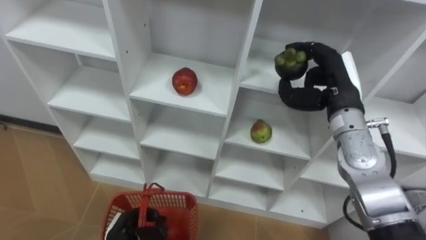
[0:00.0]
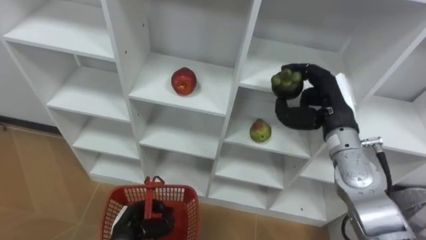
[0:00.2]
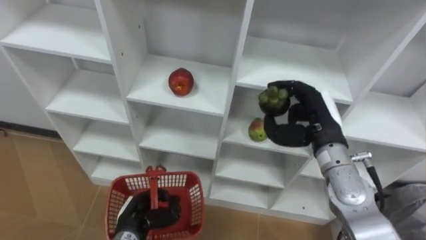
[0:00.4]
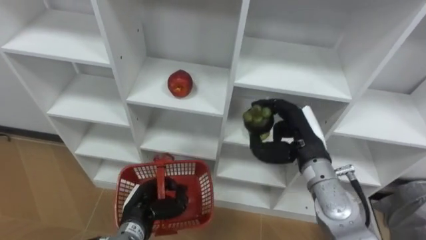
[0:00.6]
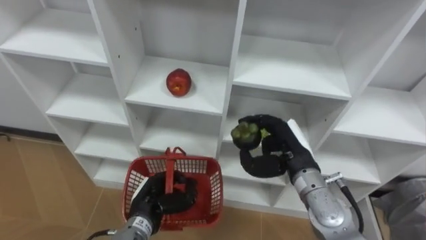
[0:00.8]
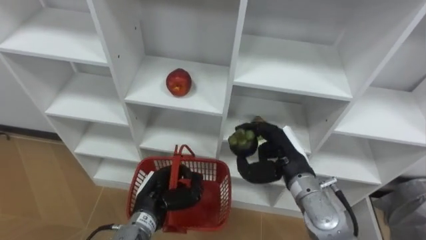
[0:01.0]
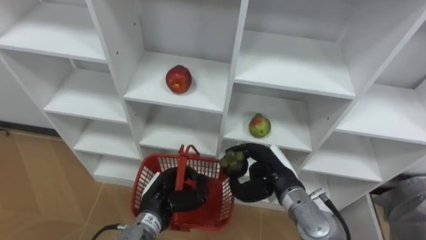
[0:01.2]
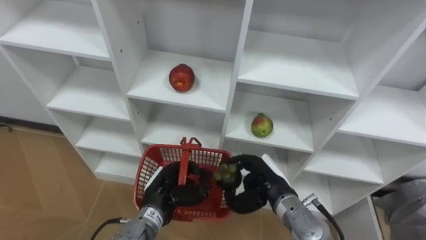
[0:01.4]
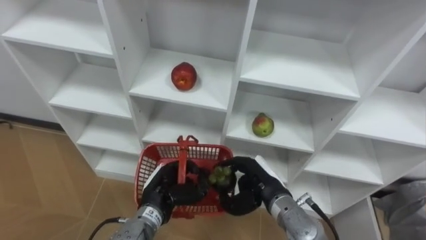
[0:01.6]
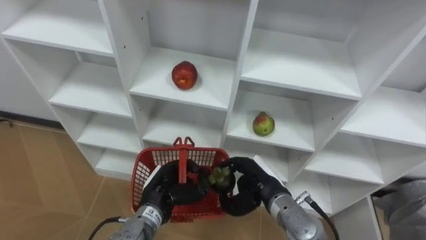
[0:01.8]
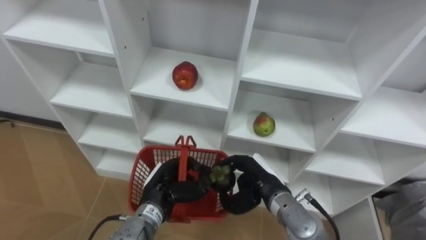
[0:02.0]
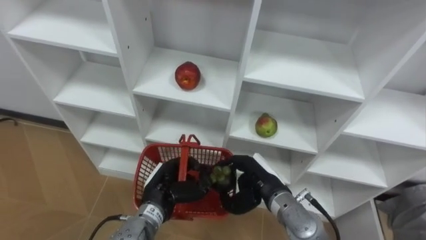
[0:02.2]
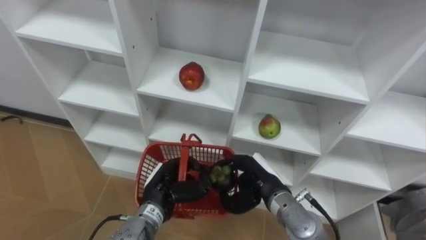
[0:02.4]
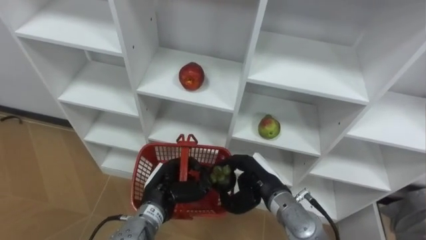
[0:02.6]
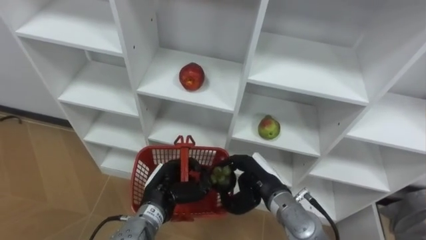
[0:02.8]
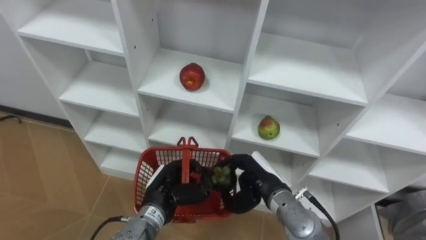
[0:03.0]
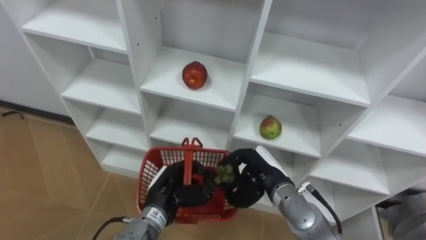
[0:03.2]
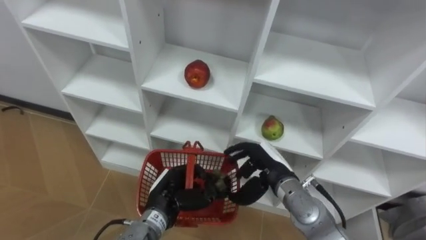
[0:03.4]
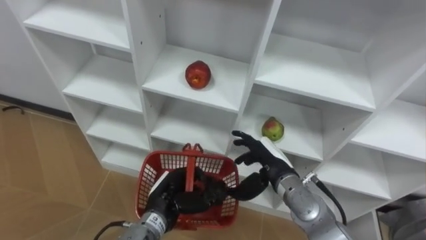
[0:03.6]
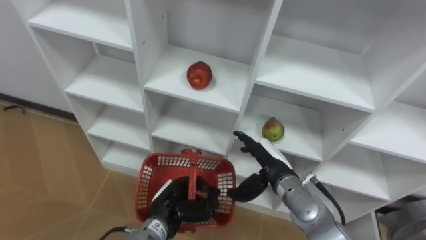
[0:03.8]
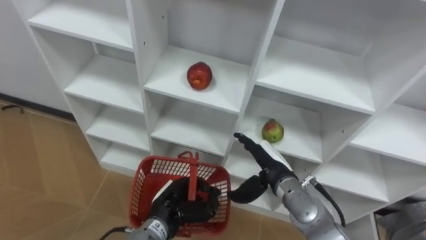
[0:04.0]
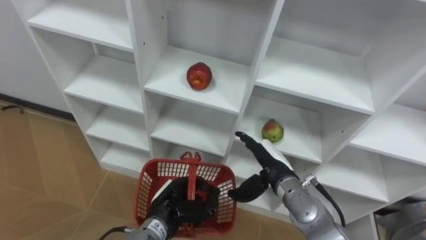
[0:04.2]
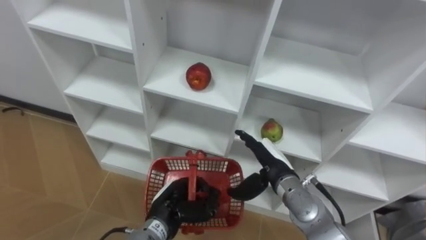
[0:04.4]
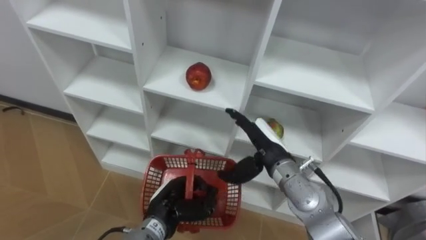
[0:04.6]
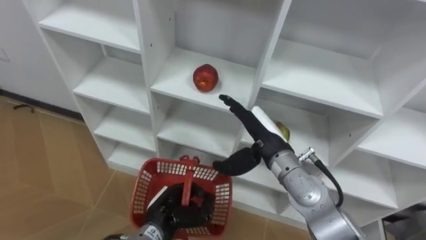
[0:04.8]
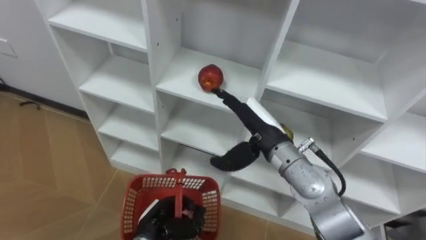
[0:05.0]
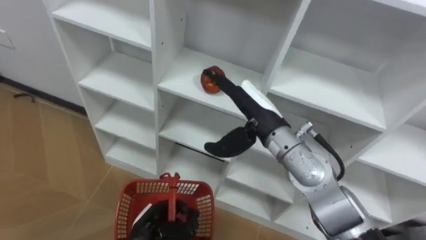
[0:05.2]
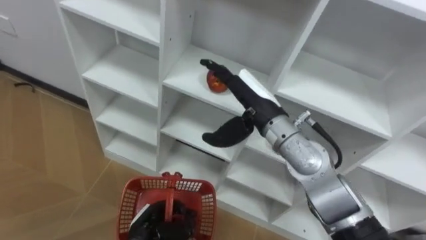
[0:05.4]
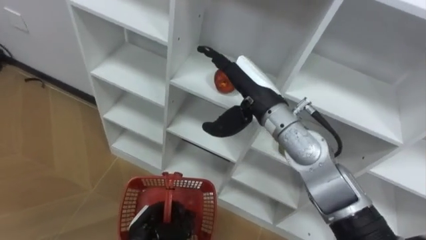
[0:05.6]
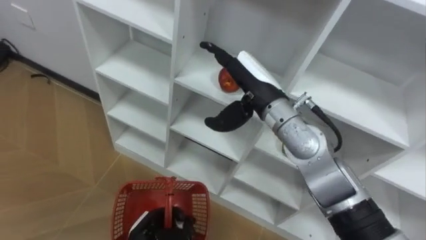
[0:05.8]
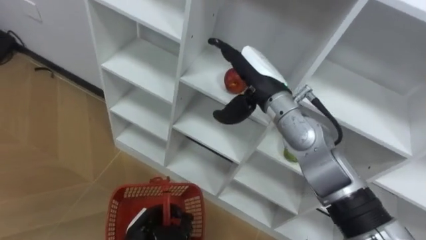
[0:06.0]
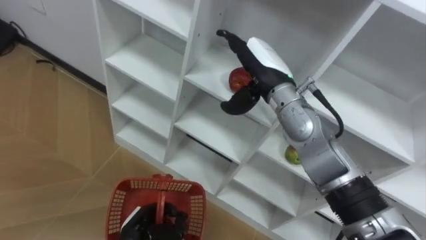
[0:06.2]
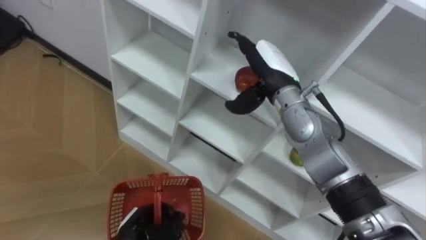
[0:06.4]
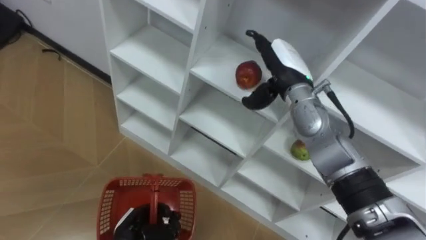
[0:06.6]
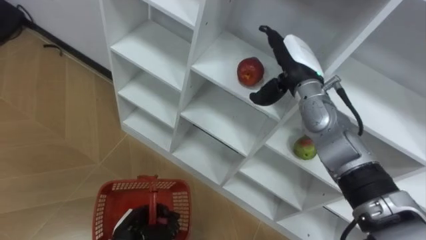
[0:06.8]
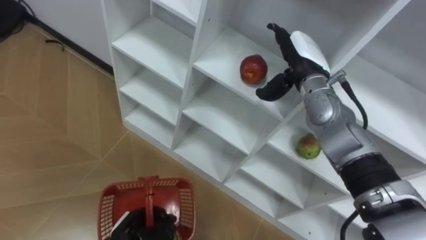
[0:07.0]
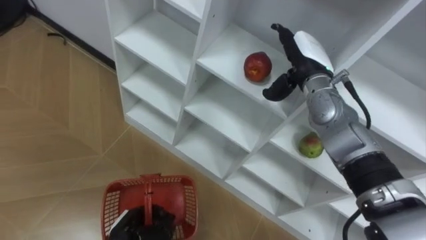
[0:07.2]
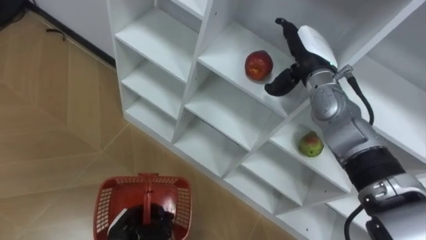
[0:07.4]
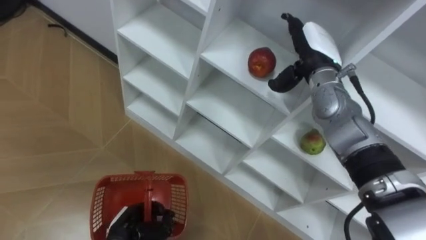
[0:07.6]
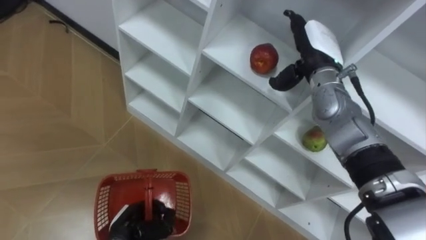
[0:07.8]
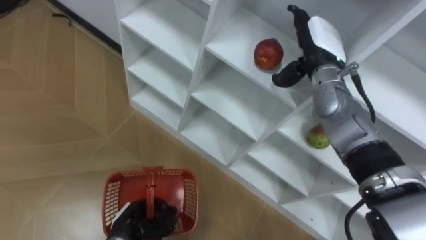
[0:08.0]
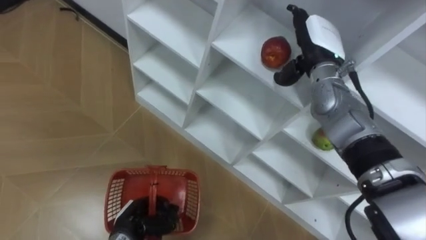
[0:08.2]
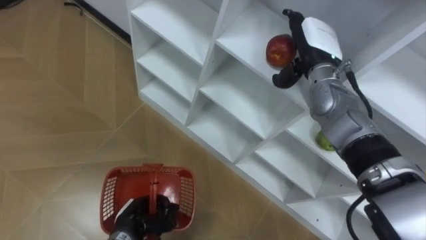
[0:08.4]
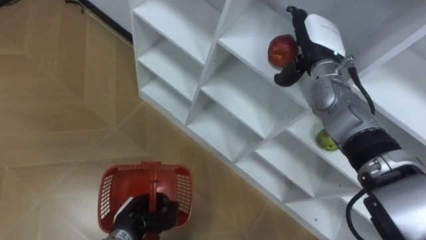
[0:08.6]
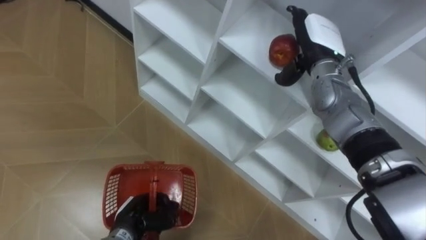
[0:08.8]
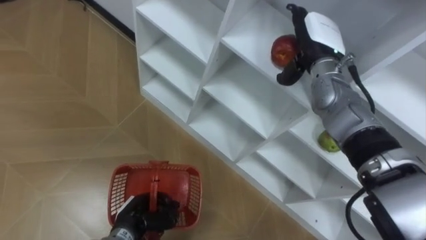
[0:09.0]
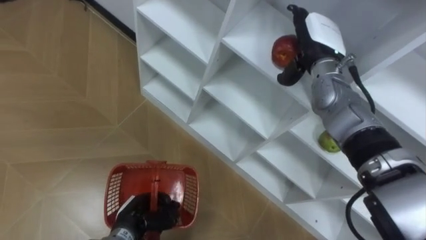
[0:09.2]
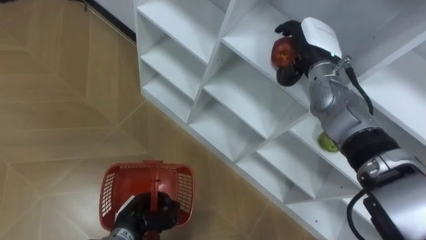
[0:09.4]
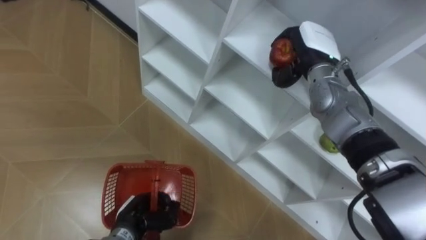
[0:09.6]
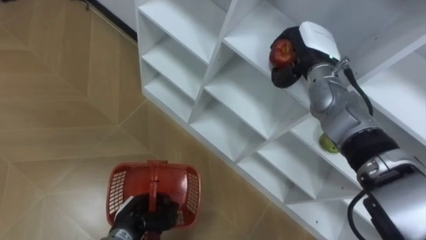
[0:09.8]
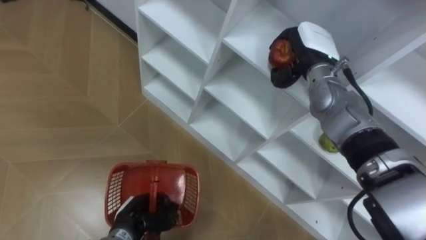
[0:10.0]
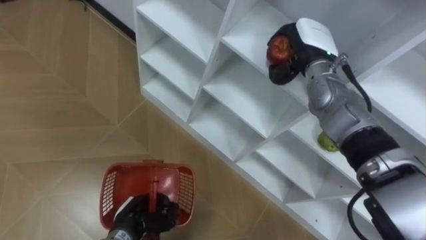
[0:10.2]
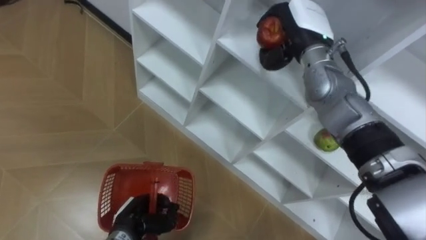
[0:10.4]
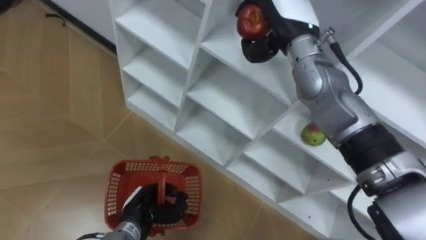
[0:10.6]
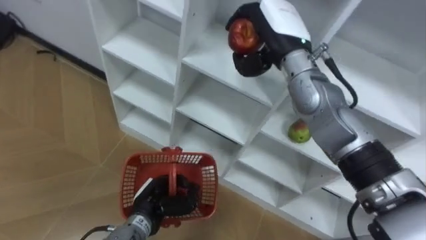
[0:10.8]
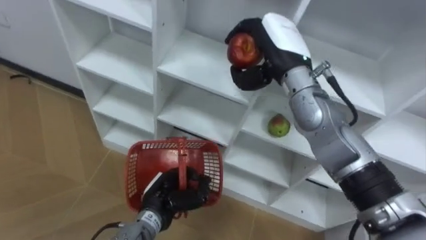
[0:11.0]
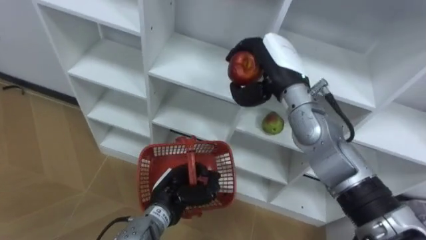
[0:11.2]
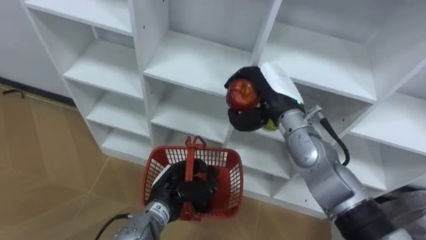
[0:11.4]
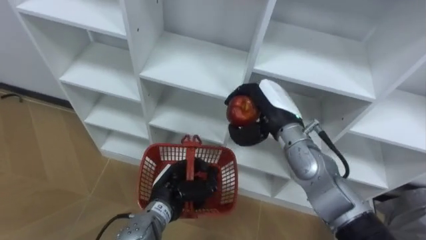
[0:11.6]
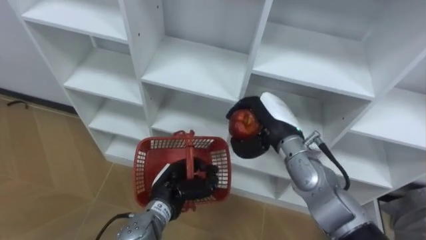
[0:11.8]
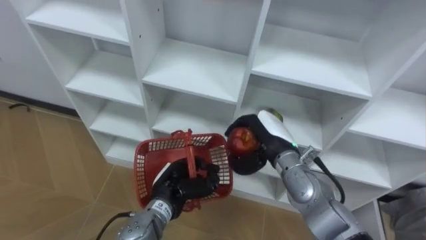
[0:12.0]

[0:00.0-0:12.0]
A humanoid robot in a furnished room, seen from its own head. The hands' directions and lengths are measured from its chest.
Task of the whole recording: Hold the basket and collect the fruits from 3 different cells of the closet into it.
0:00.0 to 0:01.6: The left hand goes about 15 cm to the right, upward and forward. The right hand travels downward, to the left and backward by some 20 cm.
0:03.0 to 0:04.4: The right hand opens up.
0:04.4 to 0:06.0: The right hand goes some 20 cm upward and forward. The left hand moves some 10 cm.
0:06.0 to 0:07.6: The right hand travels to the right and forward by approximately 10 cm.
0:09.0 to 0:10.4: The right hand closes.
0:10.4 to 0:12.0: The left hand travels to the right and upward by about 10 cm, while the right hand travels downward and backward by some 20 cm.

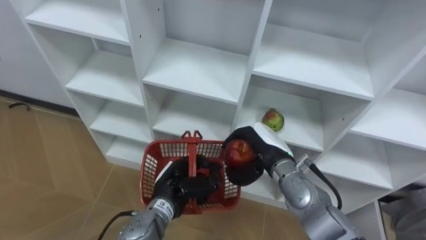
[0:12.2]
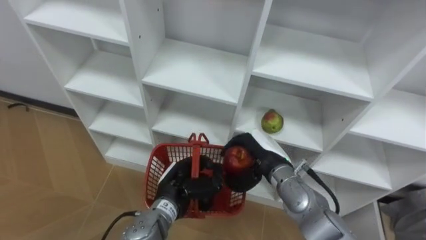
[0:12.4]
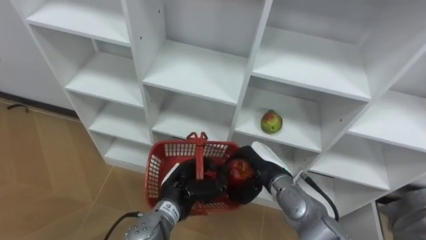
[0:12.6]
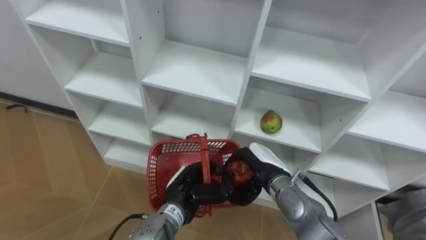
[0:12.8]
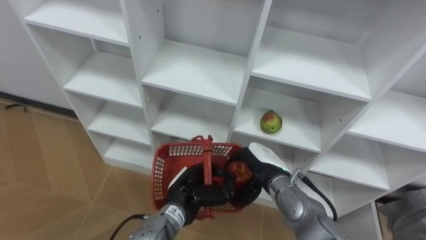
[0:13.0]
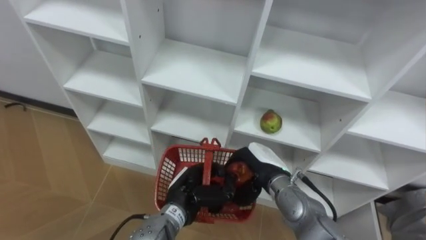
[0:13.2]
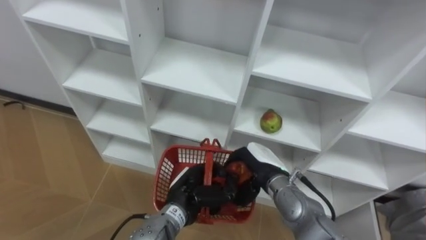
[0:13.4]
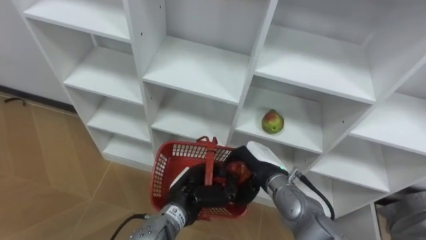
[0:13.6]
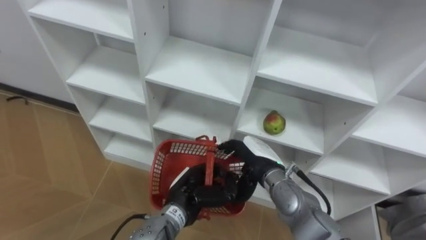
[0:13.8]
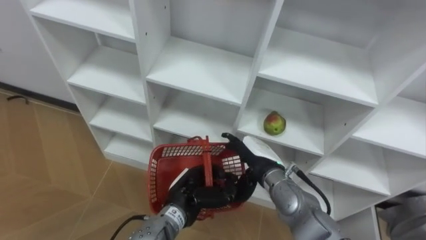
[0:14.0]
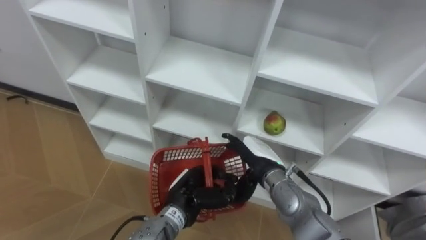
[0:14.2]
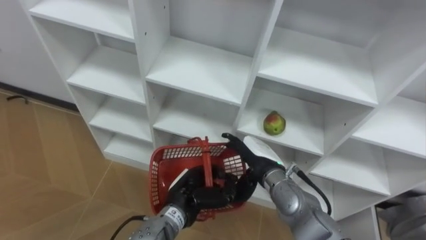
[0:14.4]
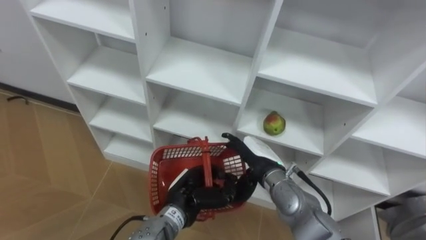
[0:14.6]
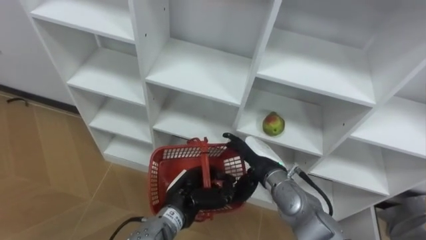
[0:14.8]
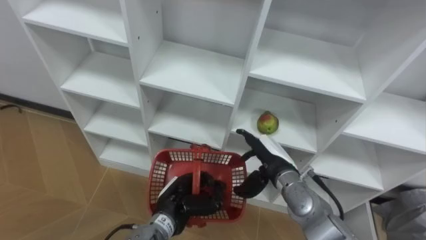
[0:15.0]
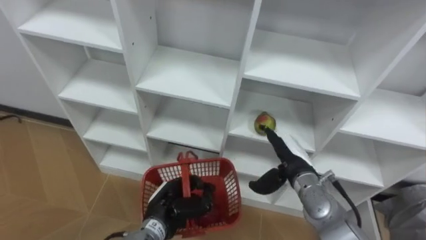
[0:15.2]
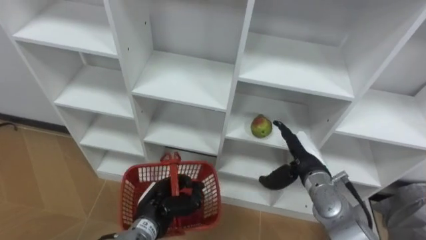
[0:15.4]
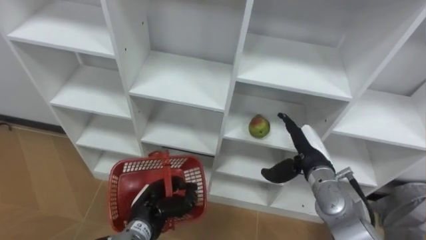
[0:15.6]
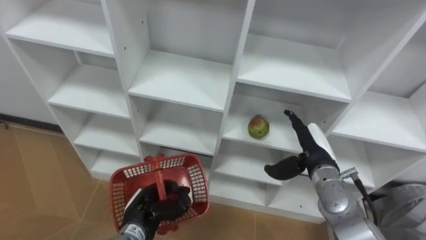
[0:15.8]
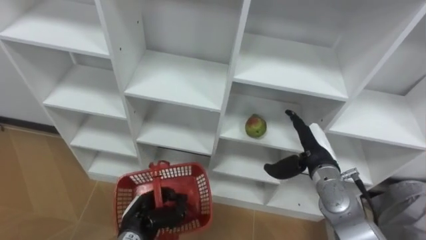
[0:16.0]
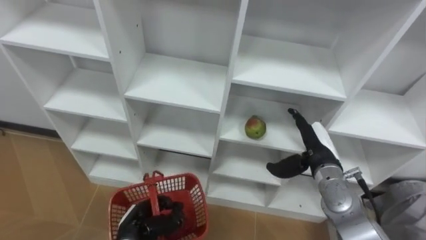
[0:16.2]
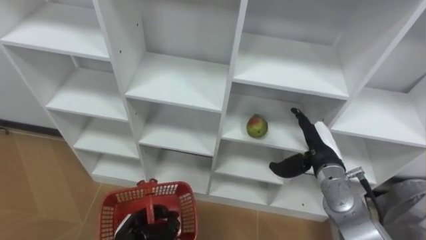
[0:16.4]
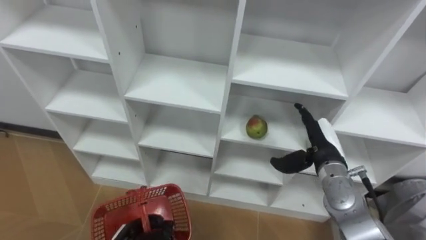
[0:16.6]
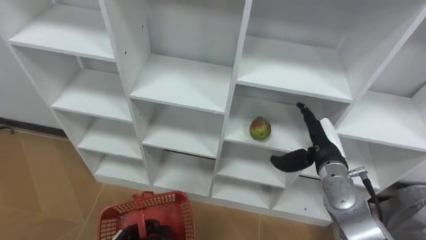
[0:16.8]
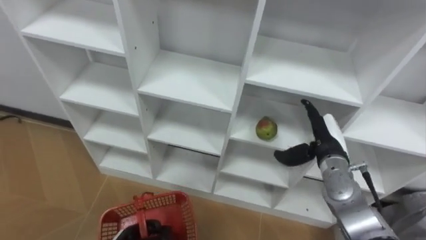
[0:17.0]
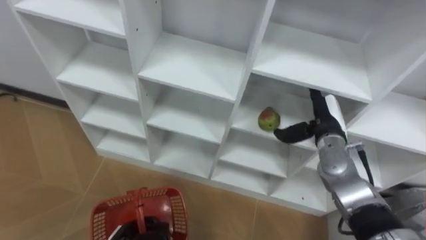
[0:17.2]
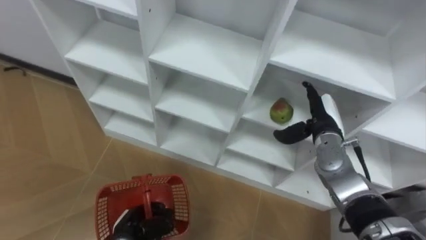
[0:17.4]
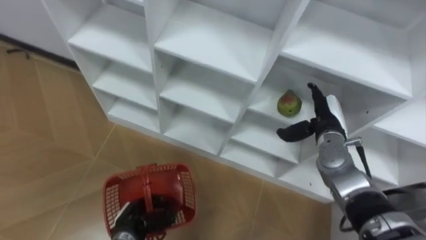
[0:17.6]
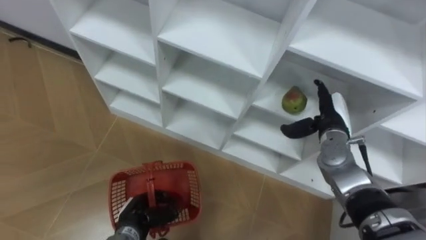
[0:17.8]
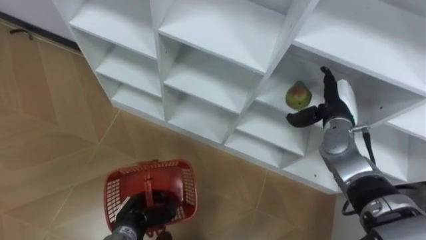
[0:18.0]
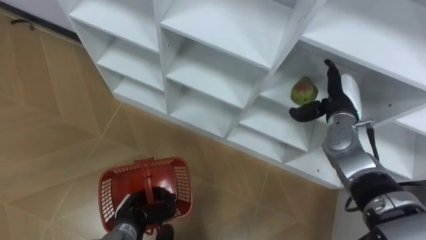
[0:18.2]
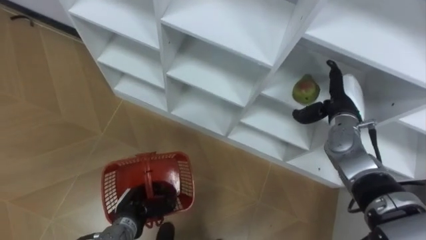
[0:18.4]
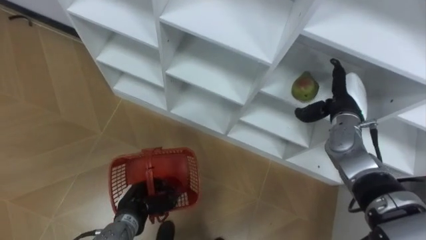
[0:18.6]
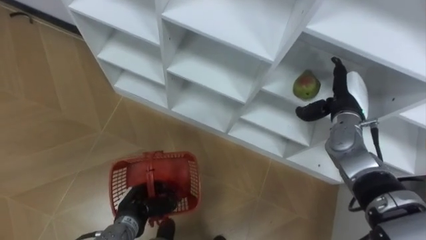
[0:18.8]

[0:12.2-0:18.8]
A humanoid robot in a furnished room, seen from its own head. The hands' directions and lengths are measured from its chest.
Task of the whole recording: Hold the basket and collect the fruits from 3 different cells of the closet into it.
0:12.2 to 0:13.8: The right hand opens its fingers.
0:13.8 to 0:15.4: The right hand travels to the right by roughly 10 cm; the left hand heads to the left, covering about 5 cm.
0:15.4 to 0:17.2: The right hand goes roughly 5 cm forward.
0:17.2 to 0:18.8: The left hand moves forward, roughly 5 cm, while the right hand changes place by approximately 5 cm.
